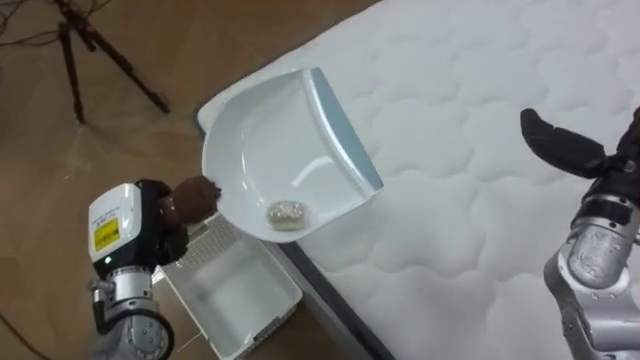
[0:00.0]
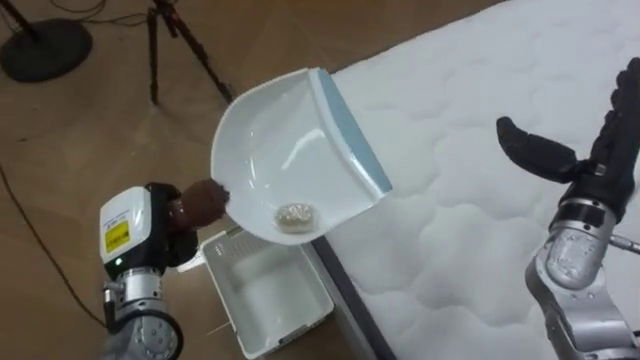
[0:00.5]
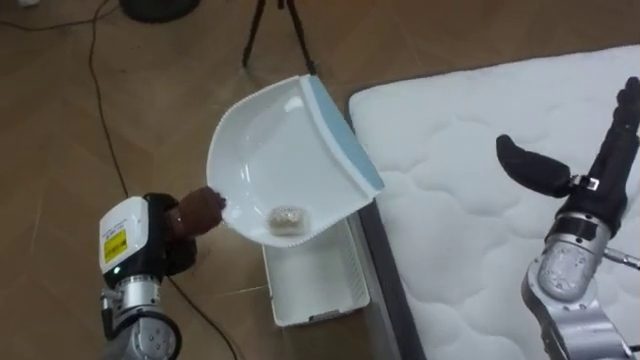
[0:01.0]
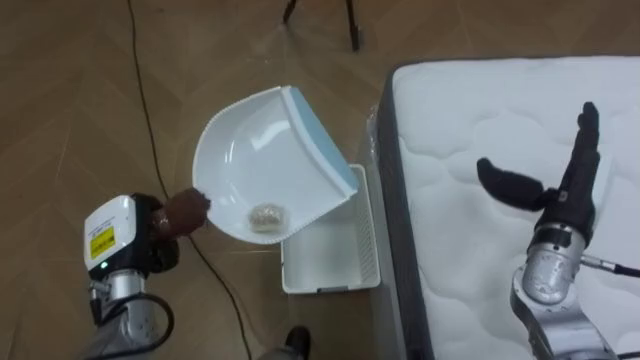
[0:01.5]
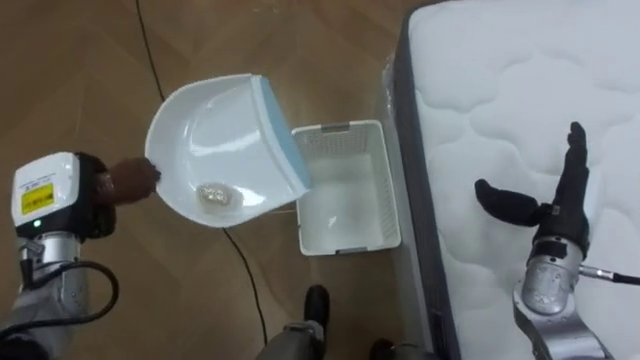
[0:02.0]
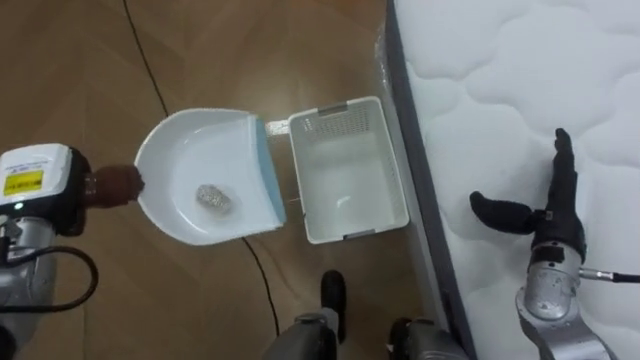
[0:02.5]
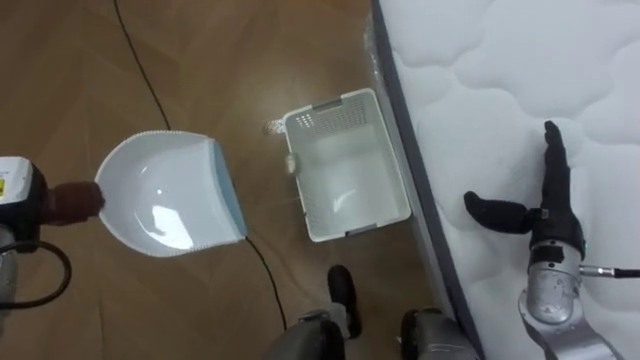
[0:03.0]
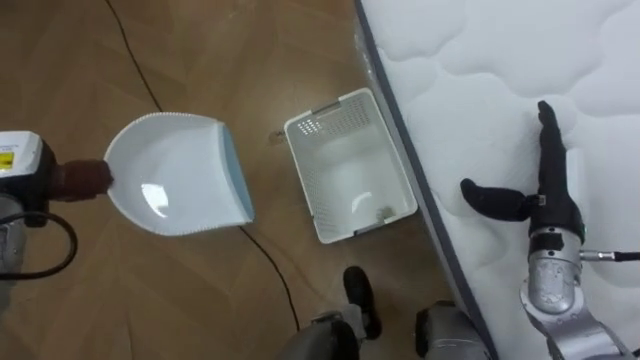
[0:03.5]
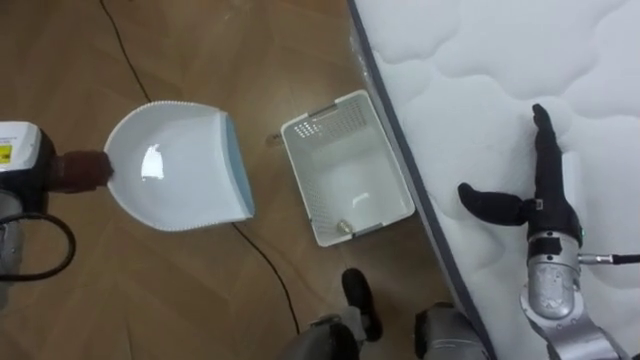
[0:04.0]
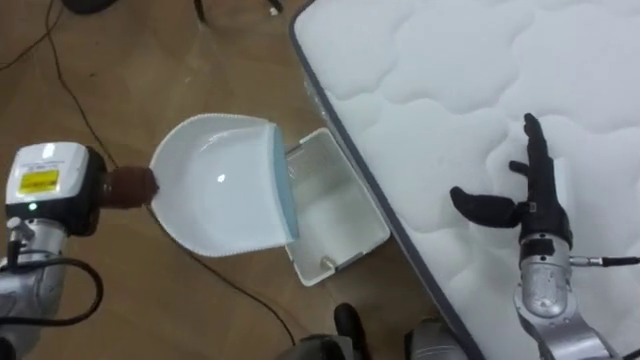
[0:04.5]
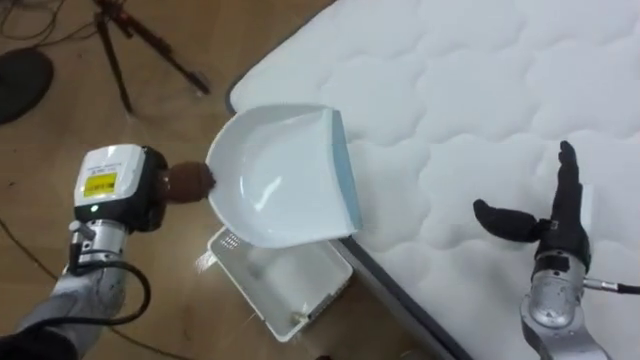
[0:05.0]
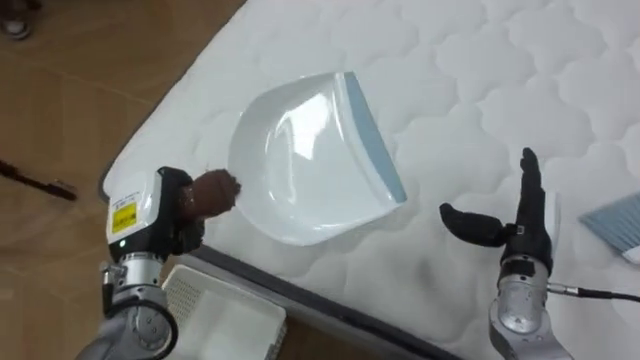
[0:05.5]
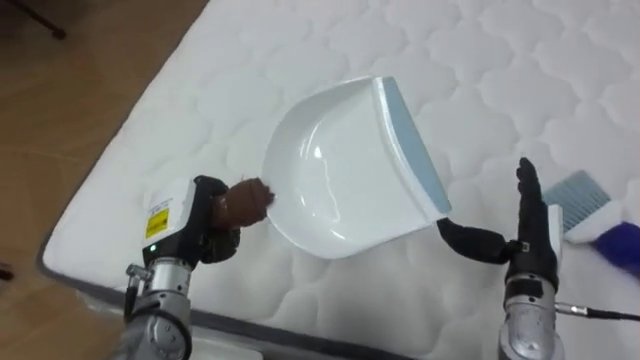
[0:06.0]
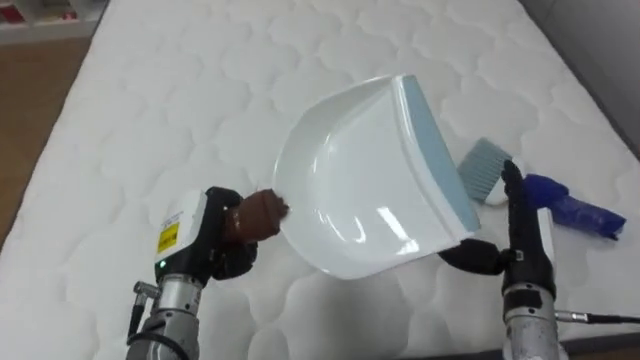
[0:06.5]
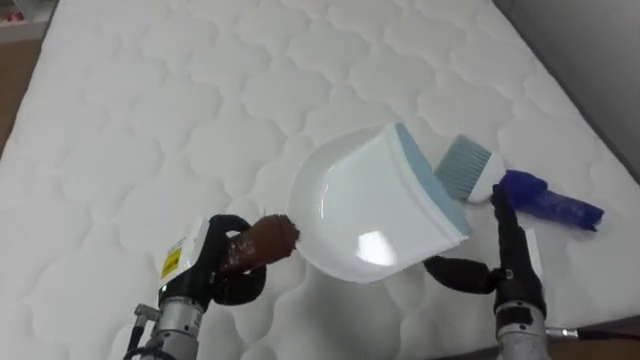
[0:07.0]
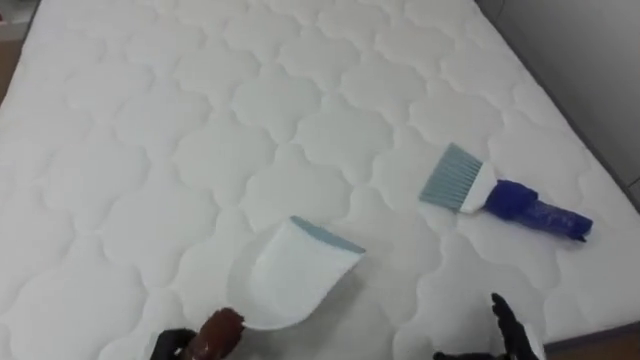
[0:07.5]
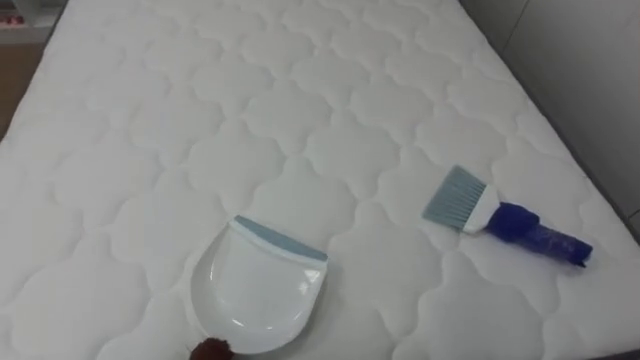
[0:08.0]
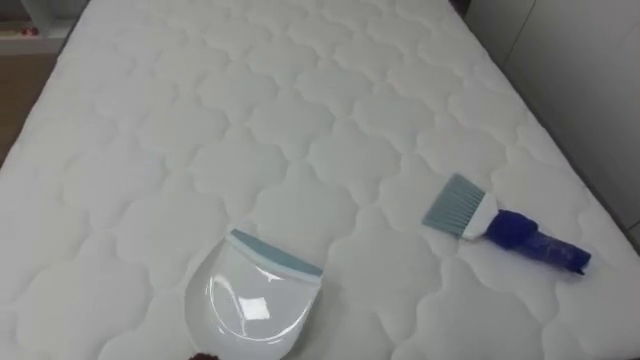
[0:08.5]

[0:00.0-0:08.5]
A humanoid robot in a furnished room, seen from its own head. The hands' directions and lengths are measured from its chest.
Task of the whole recording: Pick up the brush on your right and the dustpan on your left. Use the brush to sweep the crumpled paper on the bed into the dustpan, then turn left and empty it into the basket.
0:00.0 to 0:02.0: The robot's body swings roughly 40 degrees to its left. The left hand is displaced to the left by about 10 cm. Meanwhile the right hand shifts some 10 cm downward.
0:04.0 to 0:06.5: The robot rotates roughly 90 degrees to its right. The left hand shifts roughly 20 cm to the right, while the right hand moves some 5 cm.

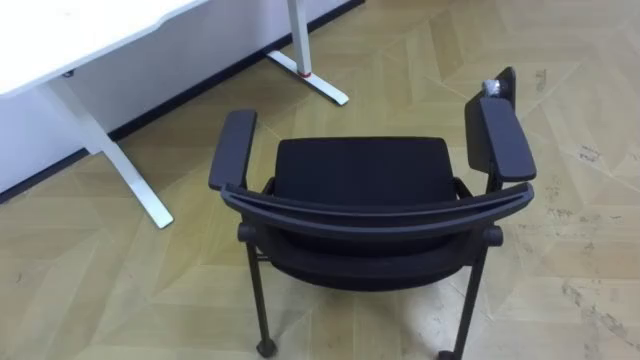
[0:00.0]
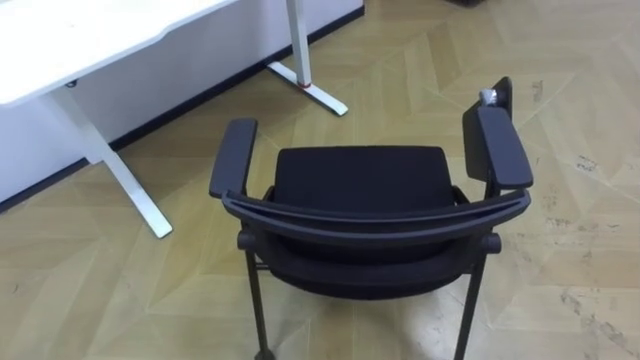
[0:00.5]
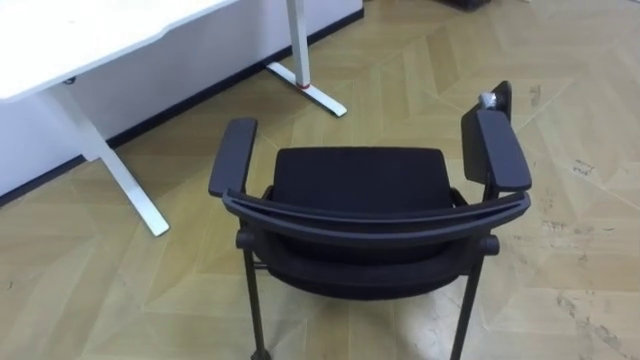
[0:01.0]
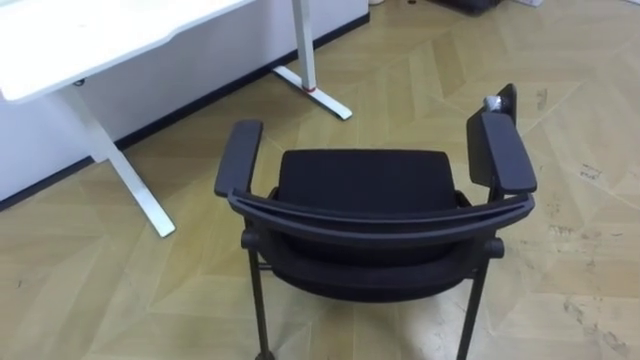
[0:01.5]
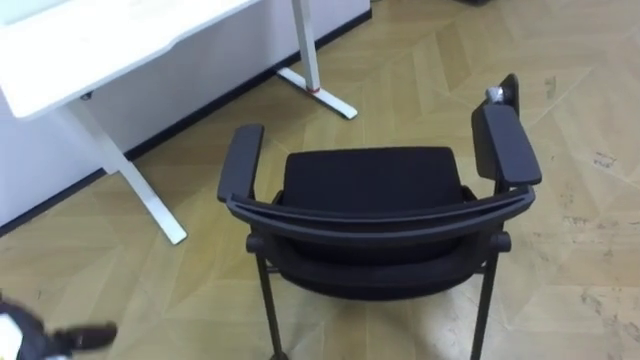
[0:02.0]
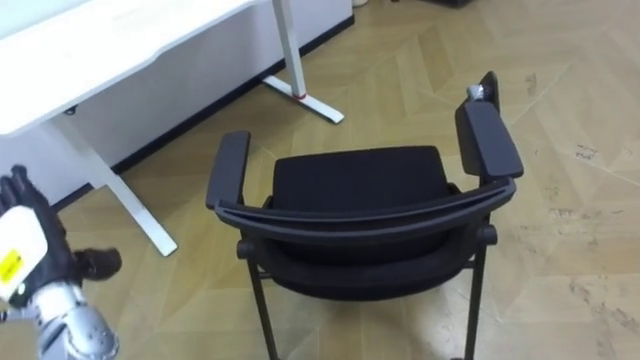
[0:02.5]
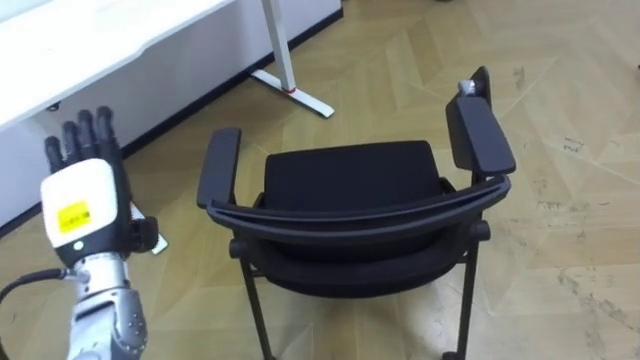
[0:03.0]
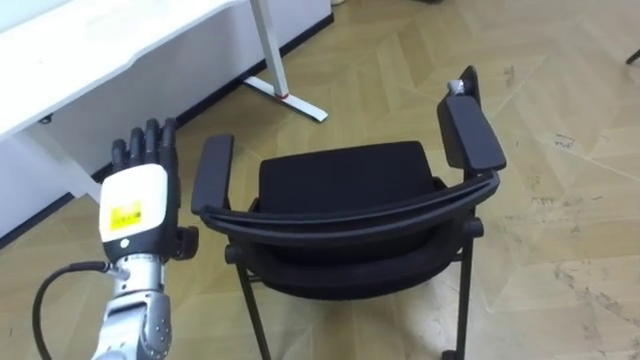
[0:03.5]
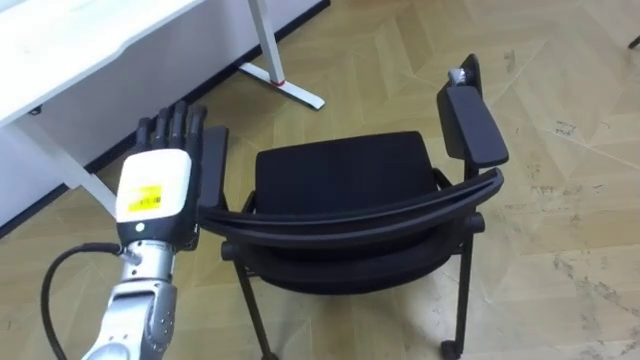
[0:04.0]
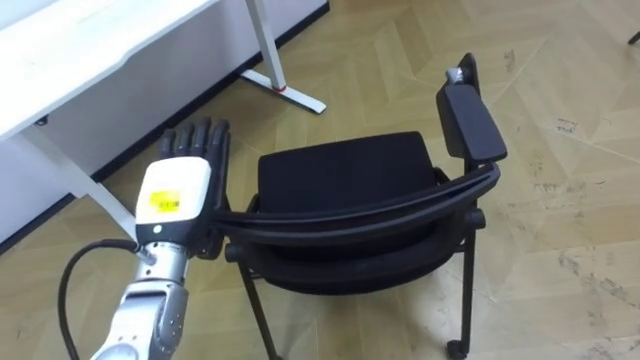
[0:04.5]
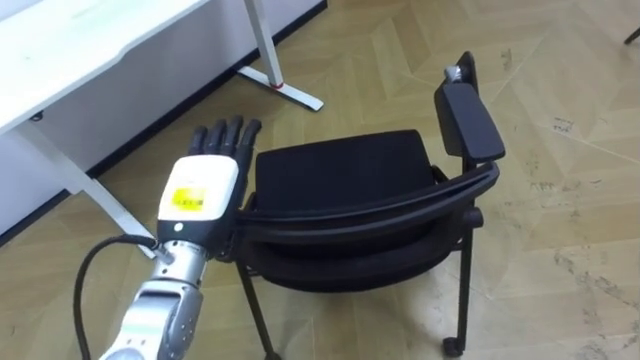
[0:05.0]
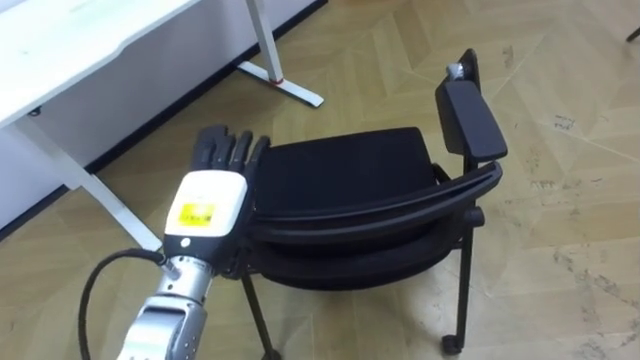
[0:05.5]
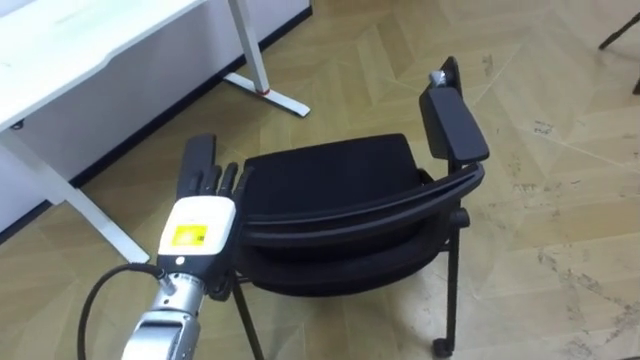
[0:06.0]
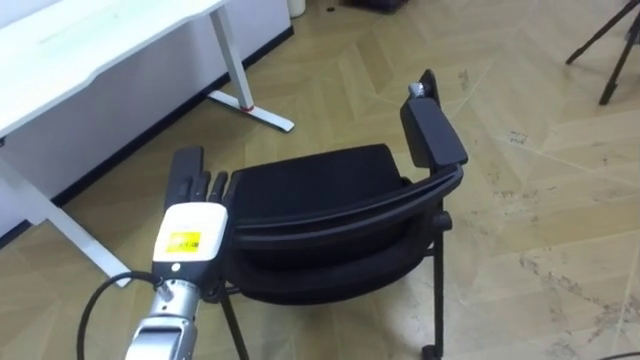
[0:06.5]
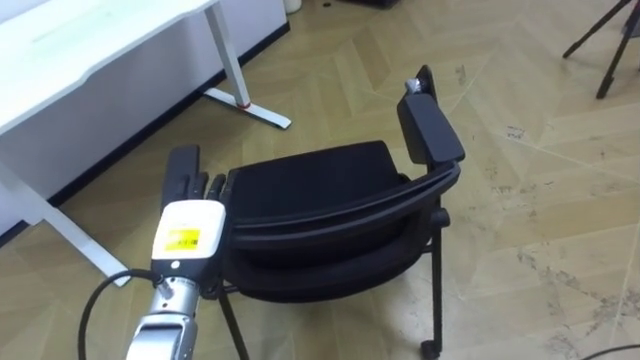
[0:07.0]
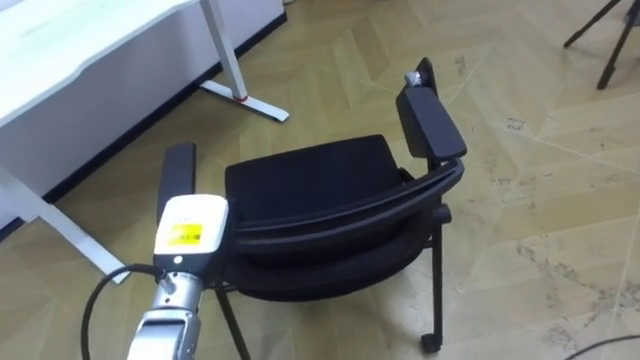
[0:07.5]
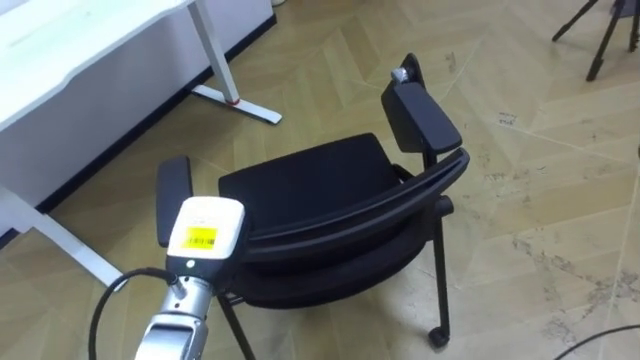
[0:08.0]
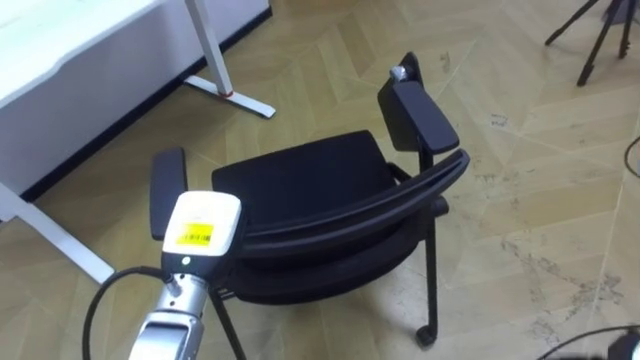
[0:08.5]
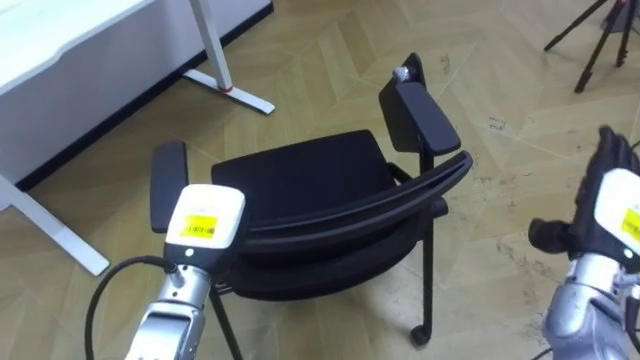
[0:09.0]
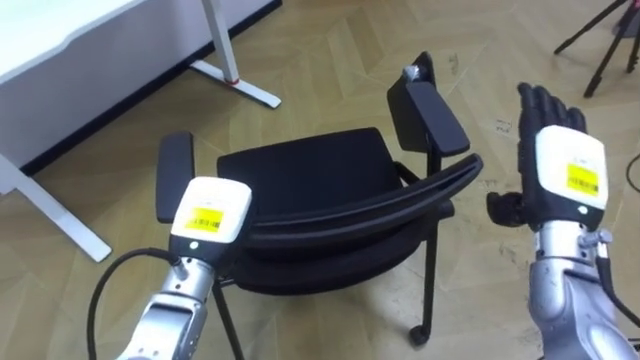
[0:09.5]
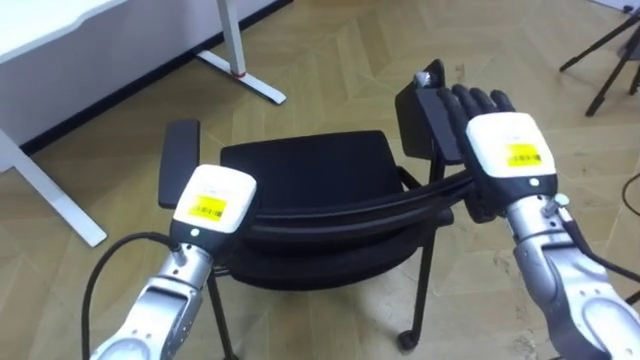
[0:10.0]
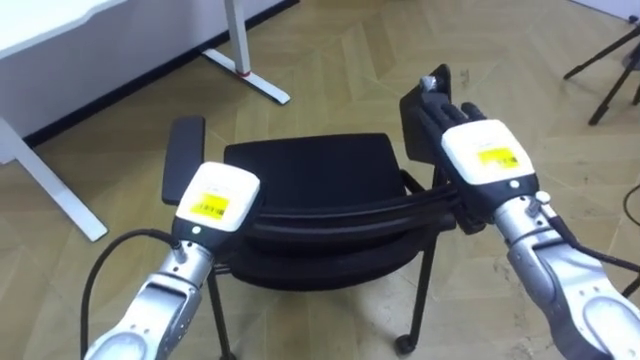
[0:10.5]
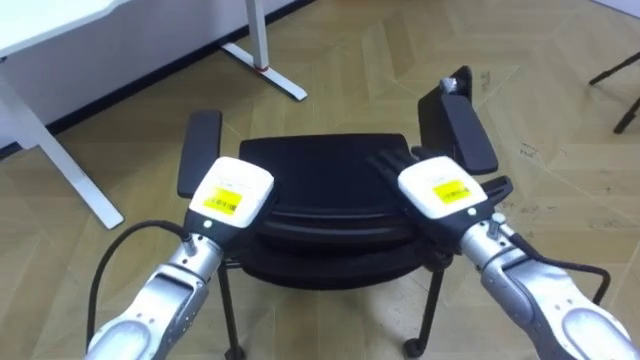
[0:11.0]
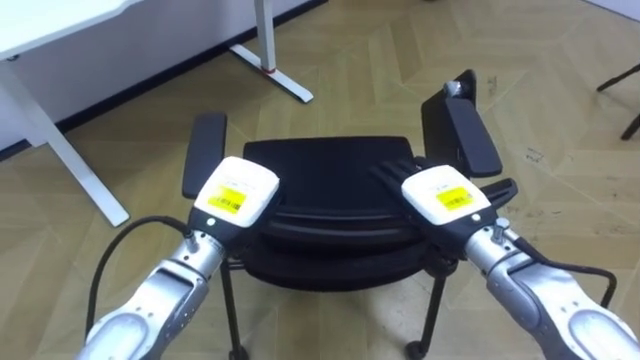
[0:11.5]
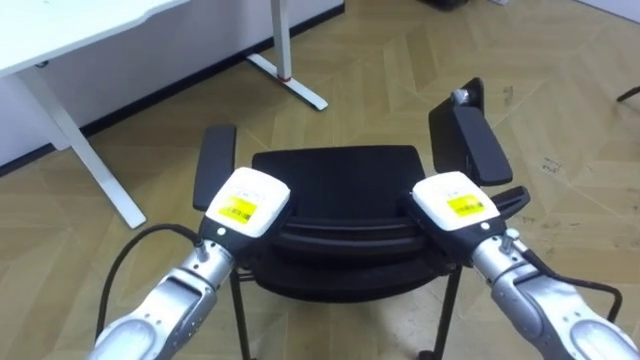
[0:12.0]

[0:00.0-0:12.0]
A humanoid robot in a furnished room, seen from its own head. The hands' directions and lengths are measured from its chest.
Task of the whole recording: Push the chair under the table.
0:02.0 to 0:04.0: The left hand goes roughly 25 cm to the right, upward and forward.
0:04.0 to 0:06.0: The left hand is displaced downward by about 5 cm.
0:06.0 to 0:08.0: The left hand closes up.
0:10.0 to 0:12.0: The right hand shifts approximately 5 cm downward, and closes.
